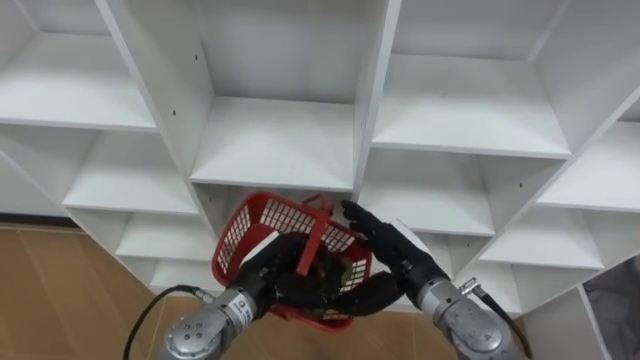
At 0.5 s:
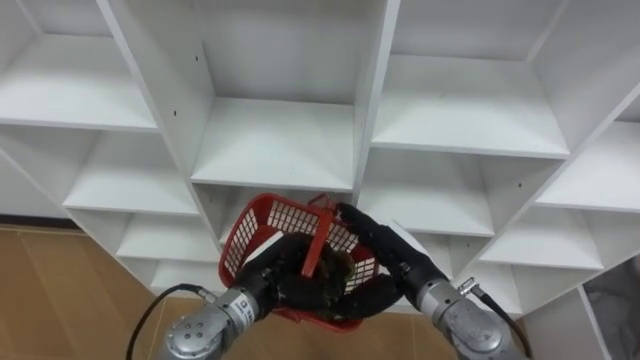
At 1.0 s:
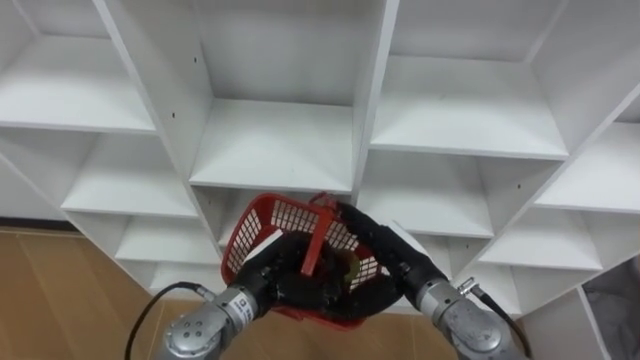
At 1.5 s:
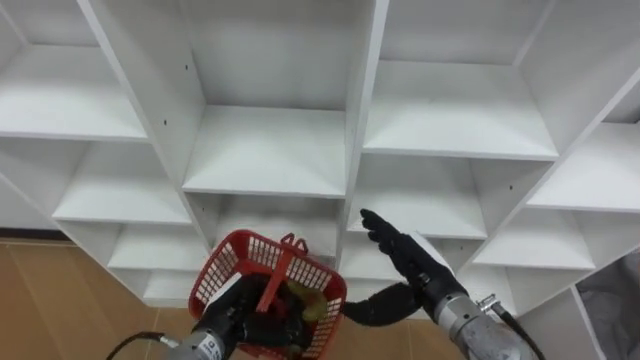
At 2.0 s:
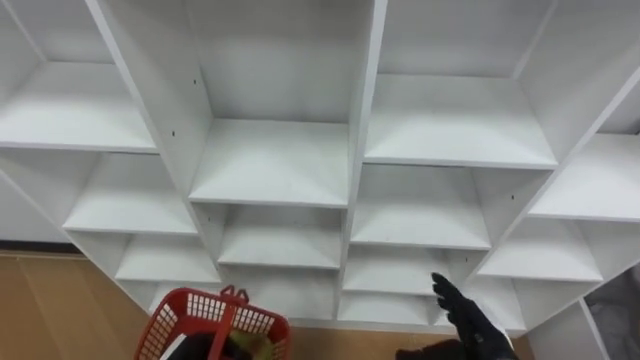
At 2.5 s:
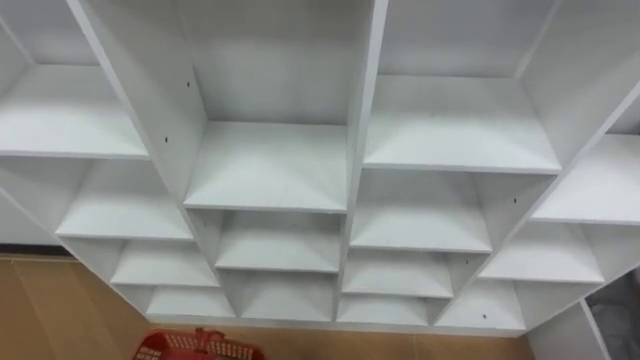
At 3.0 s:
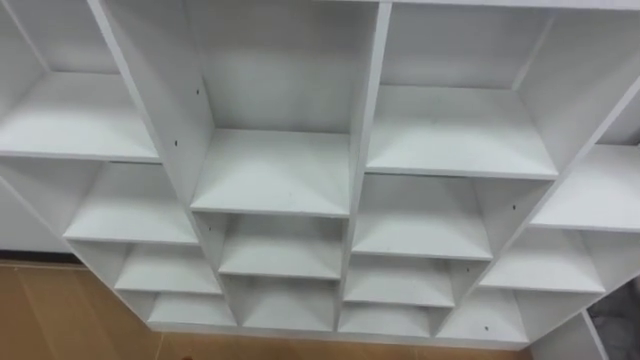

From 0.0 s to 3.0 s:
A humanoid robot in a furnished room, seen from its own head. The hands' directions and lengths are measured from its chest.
Task of the whole recording: Hold the basket and collect the fruits from 3 different cells of the closet into it.
From 0.0 s to 1.5 s: The left hand shifts by roughly 10 cm.

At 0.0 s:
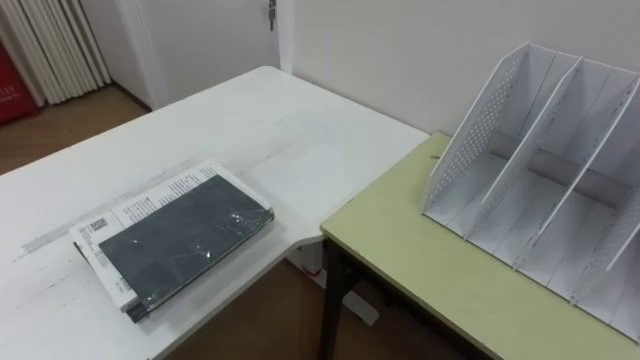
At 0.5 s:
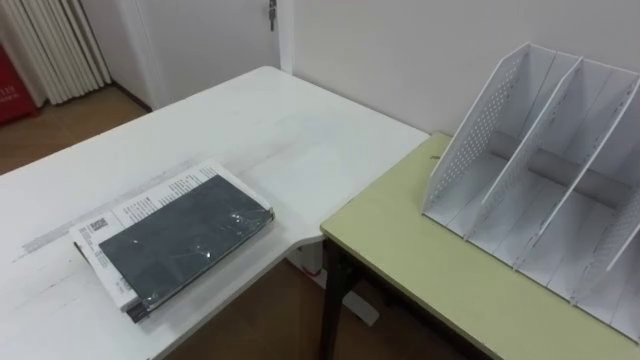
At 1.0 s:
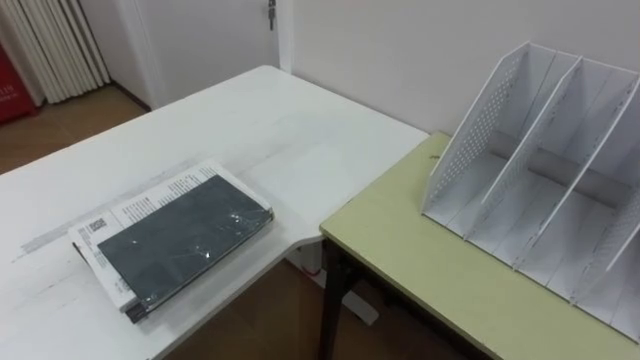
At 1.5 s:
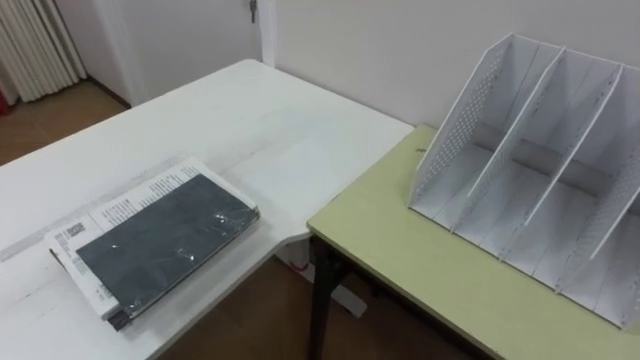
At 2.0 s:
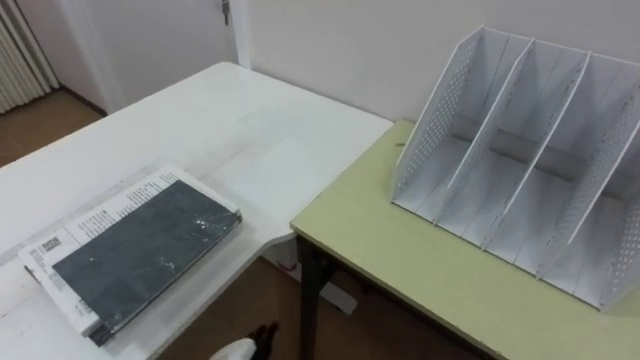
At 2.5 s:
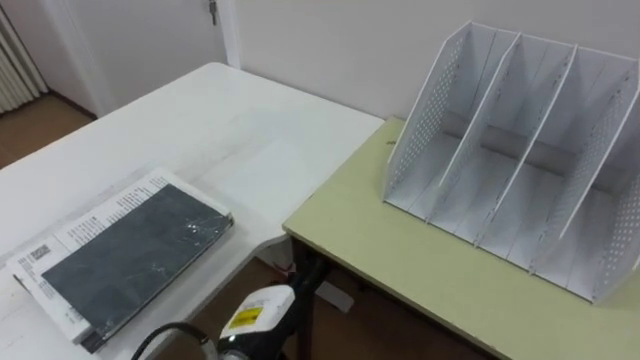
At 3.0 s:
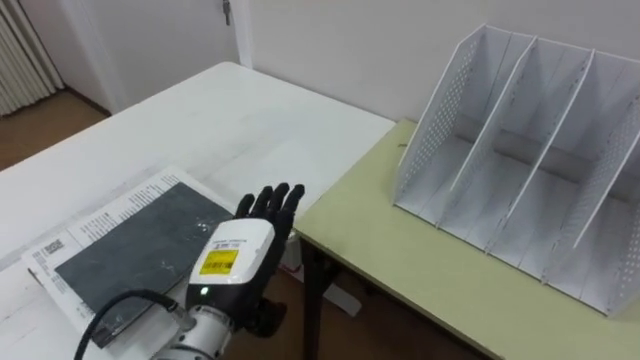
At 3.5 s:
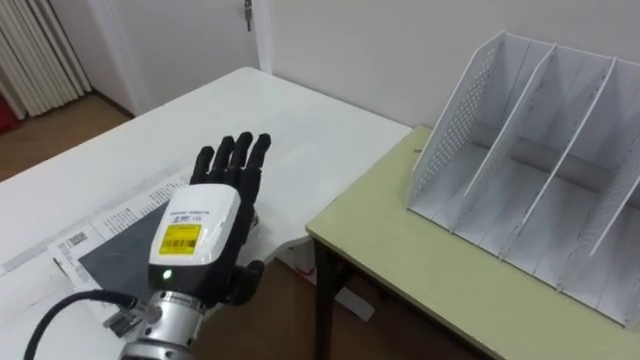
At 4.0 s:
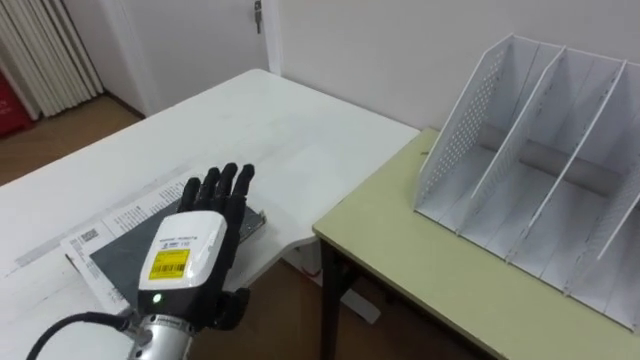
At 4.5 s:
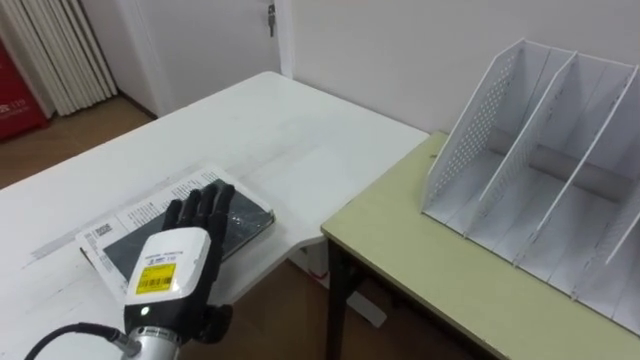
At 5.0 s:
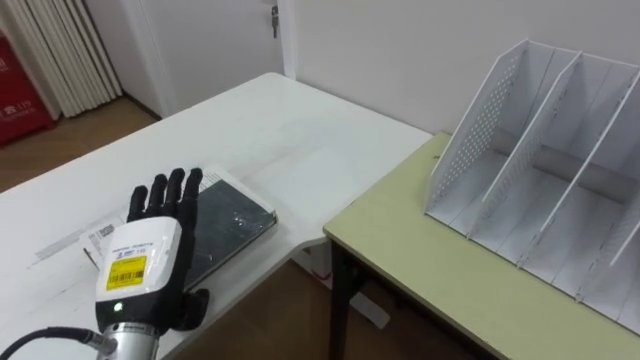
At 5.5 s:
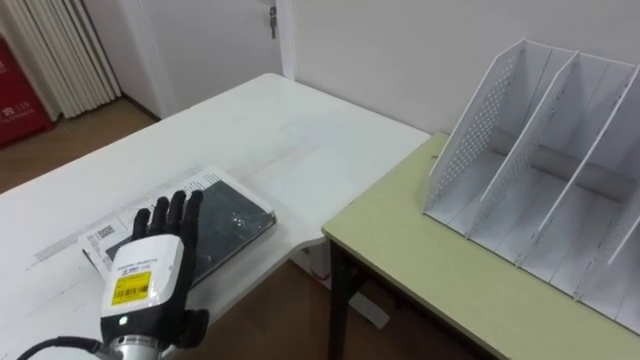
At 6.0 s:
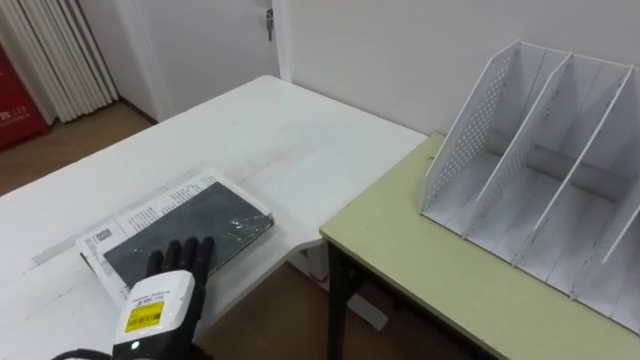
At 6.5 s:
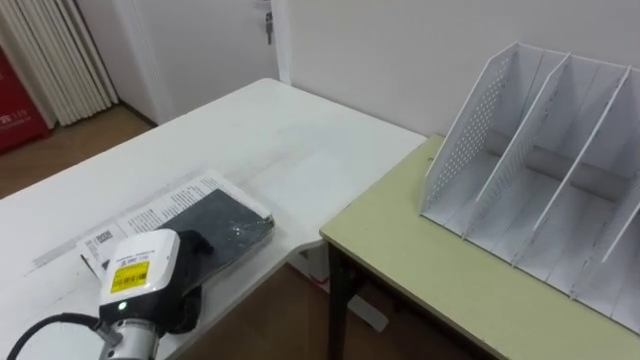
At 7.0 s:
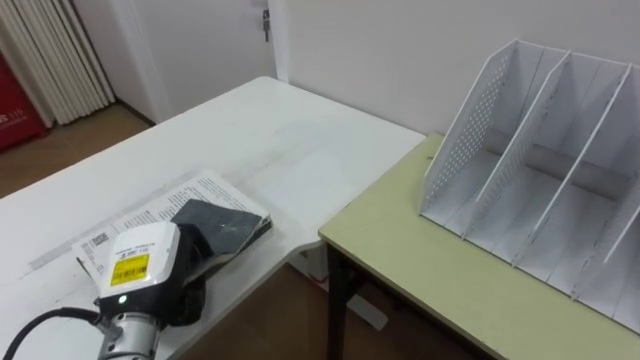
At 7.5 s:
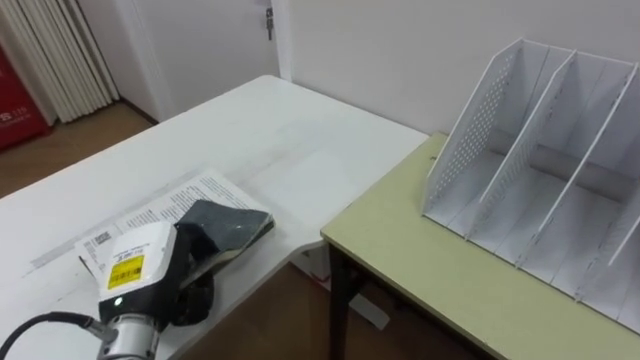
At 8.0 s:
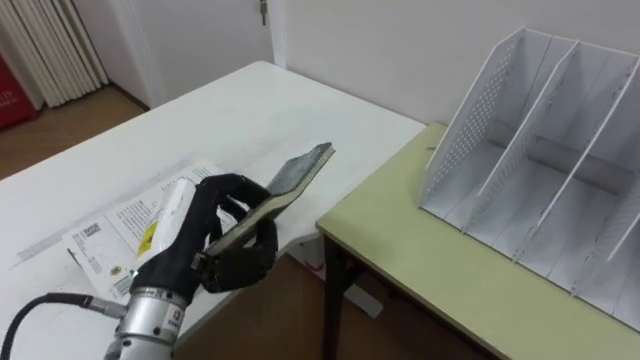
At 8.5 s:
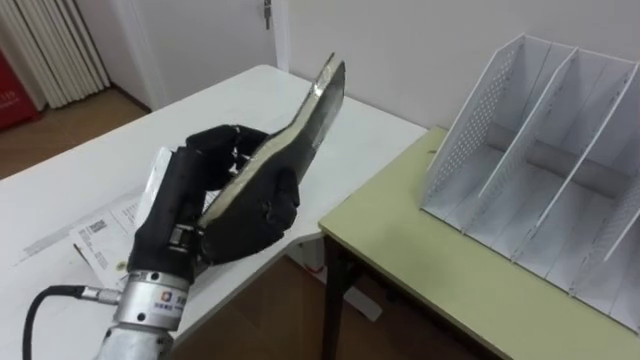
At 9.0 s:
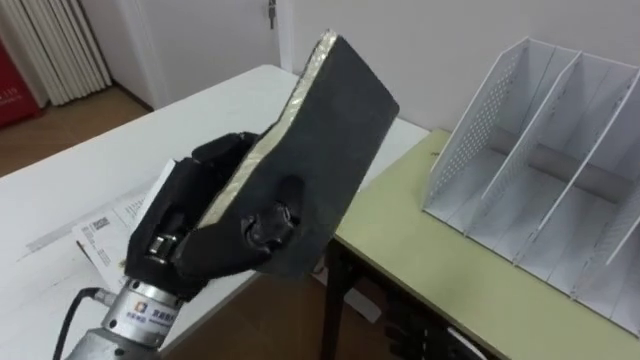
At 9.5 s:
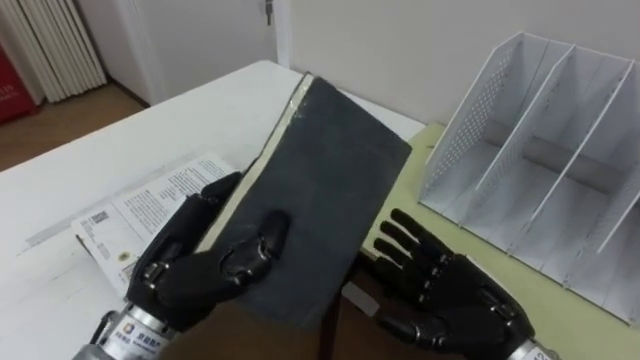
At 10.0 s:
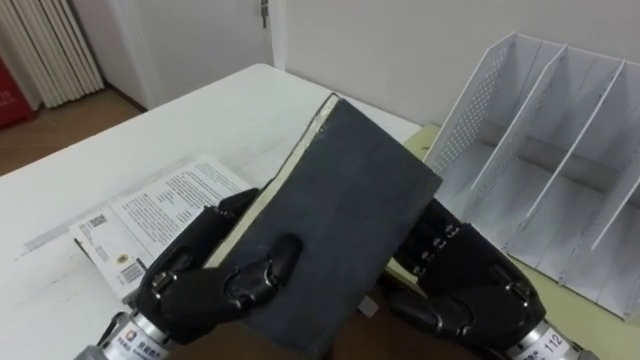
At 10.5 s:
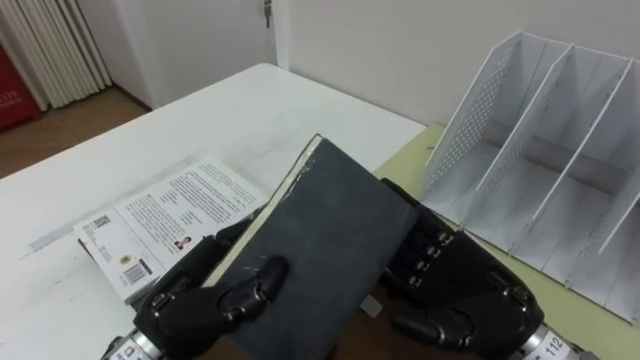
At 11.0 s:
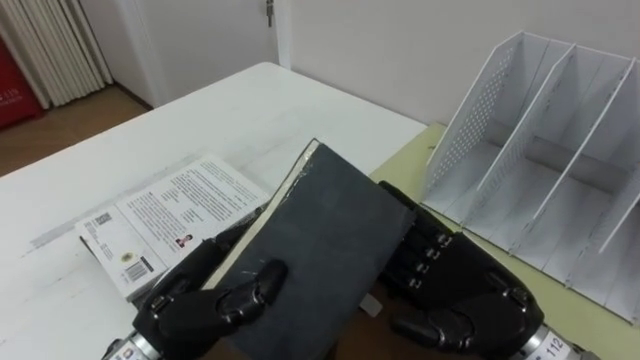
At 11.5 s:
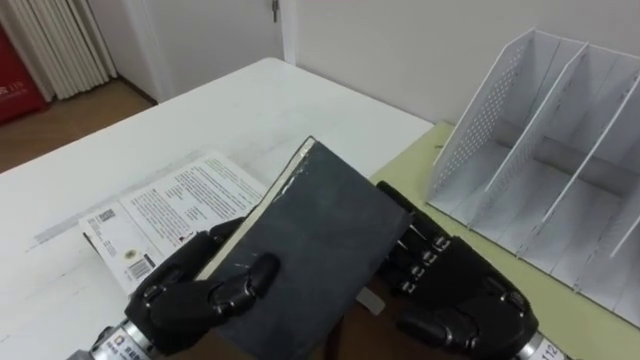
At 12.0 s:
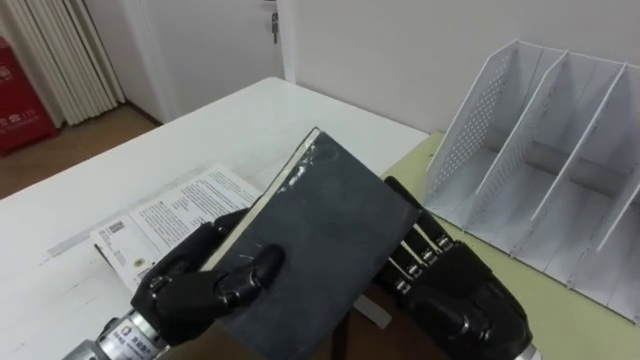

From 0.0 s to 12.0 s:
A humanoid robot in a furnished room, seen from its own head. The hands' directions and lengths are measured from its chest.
Task of the whole recording: Put the books on the table onto the bookshelf.
From 4.0 s to 6.0 s: The left hand goes approximately 10 cm downward.
From 6.0 s to 8.0 s: The left hand heads upward, covering some 10 cm, and closes up.

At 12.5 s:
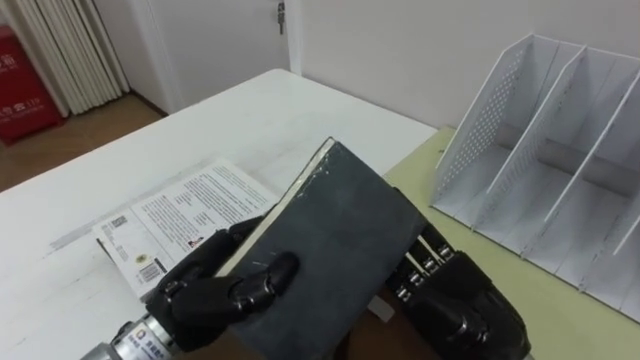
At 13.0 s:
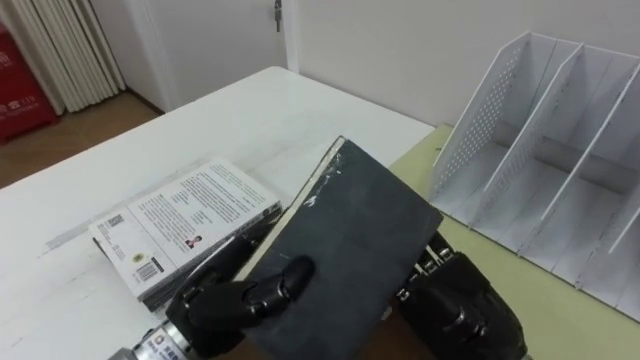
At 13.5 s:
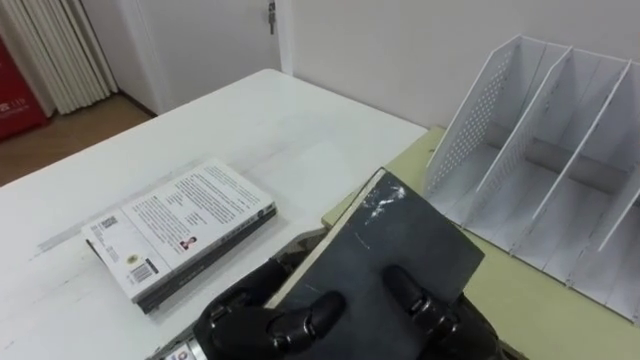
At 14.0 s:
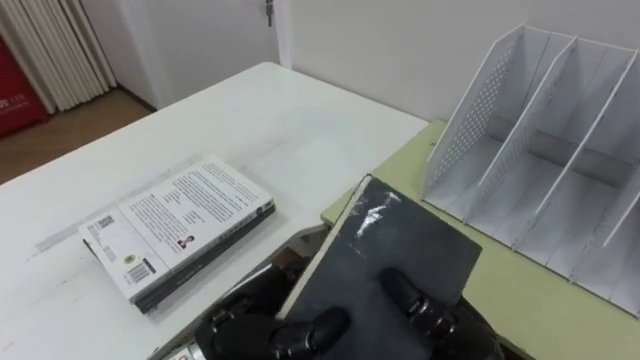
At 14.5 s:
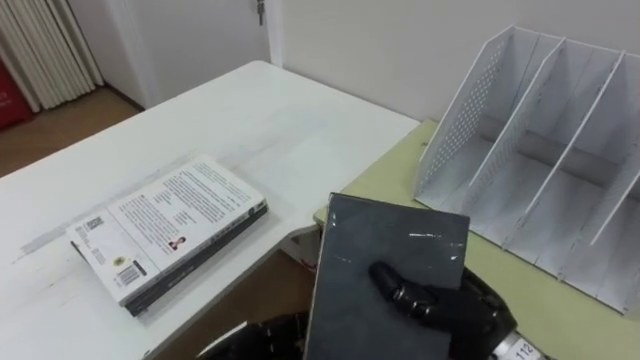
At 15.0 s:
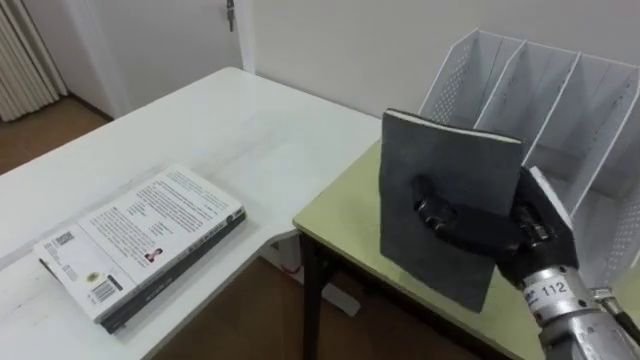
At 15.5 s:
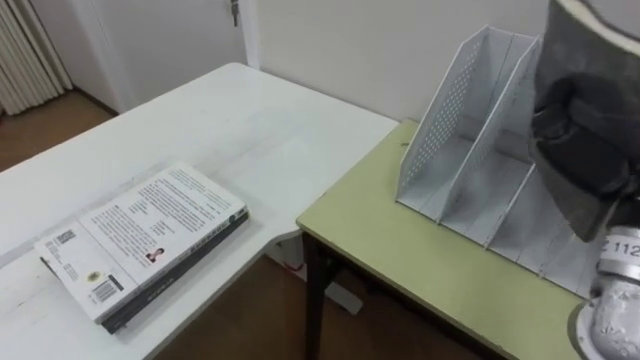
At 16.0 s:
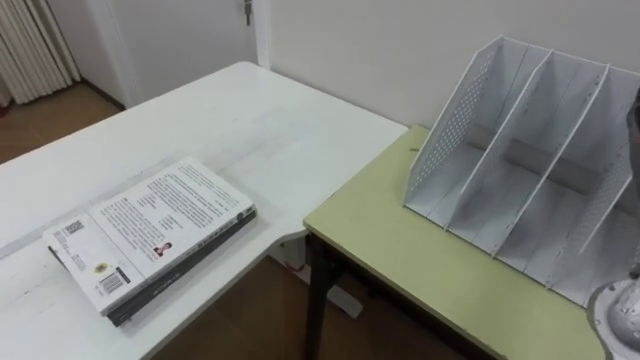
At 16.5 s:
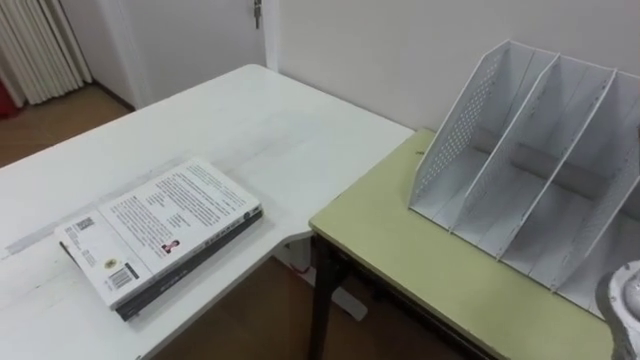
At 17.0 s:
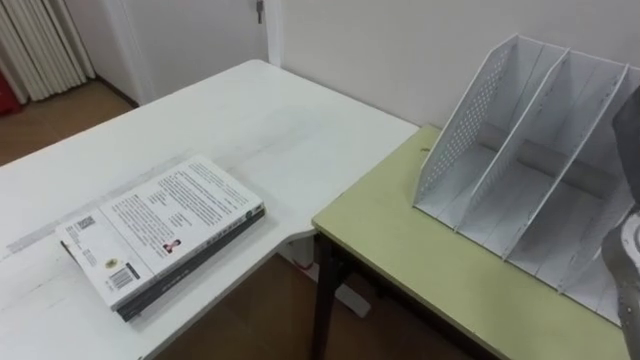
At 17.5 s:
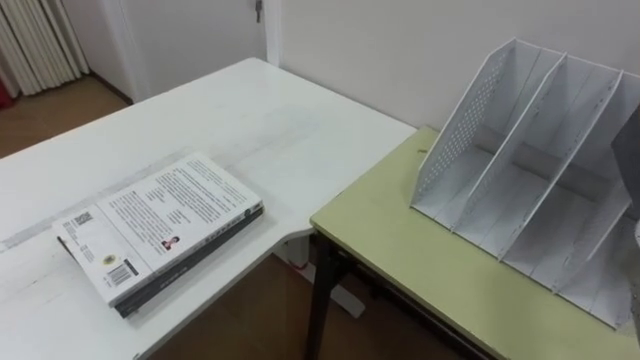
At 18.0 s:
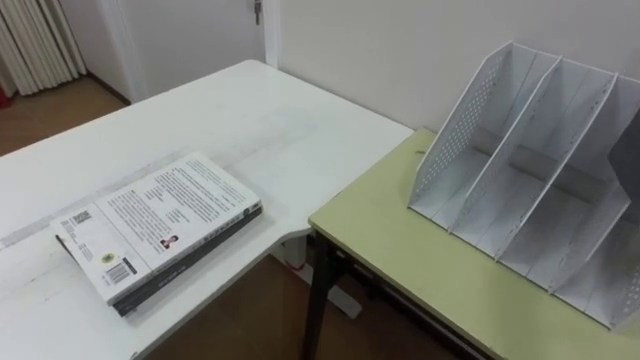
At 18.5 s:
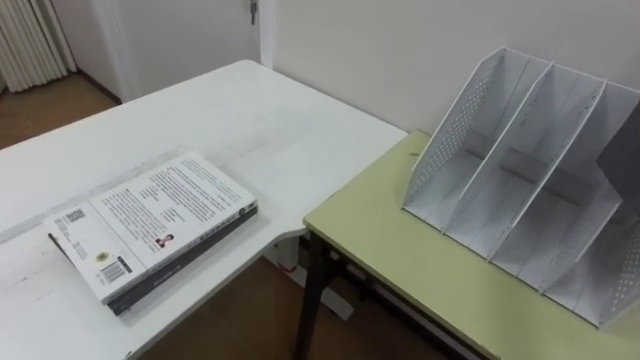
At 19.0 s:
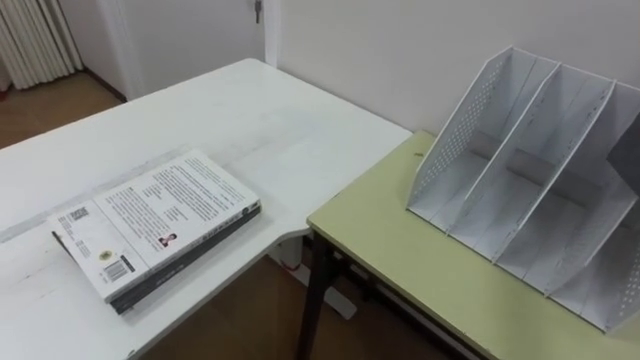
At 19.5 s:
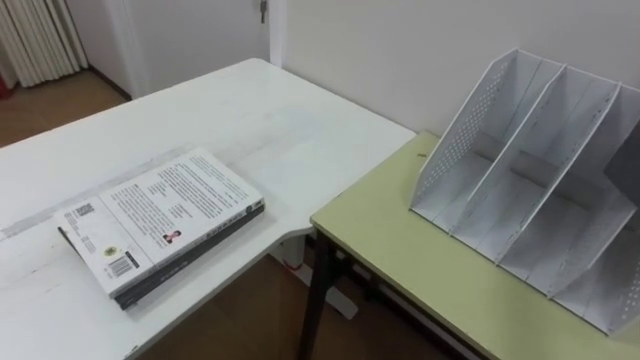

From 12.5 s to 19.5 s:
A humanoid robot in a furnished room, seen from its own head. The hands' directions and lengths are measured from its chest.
Task of the whole recording: Put the books on the table onto the bookshelf.
From 12.5 s to 14.5 s: The right hand closes. Meanwhile the left hand shifts roughly 10 cm downward, and opens up.
